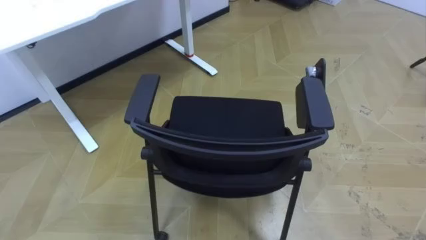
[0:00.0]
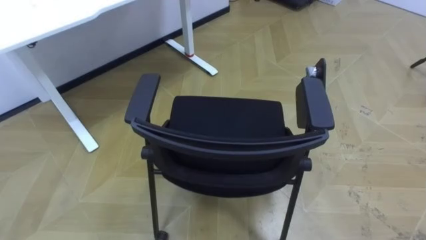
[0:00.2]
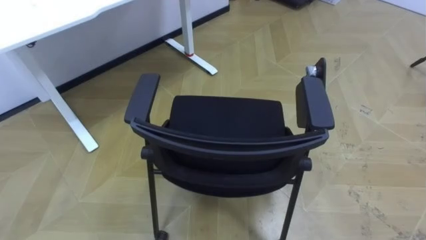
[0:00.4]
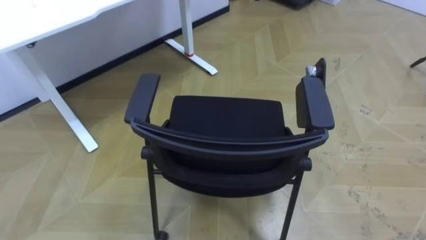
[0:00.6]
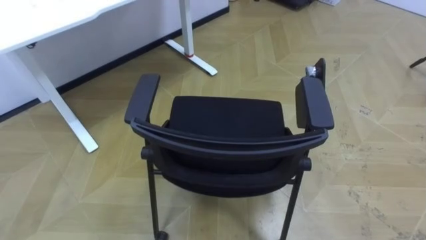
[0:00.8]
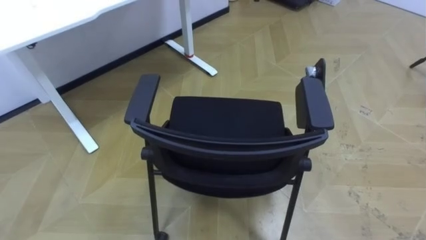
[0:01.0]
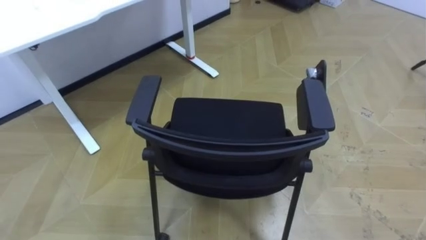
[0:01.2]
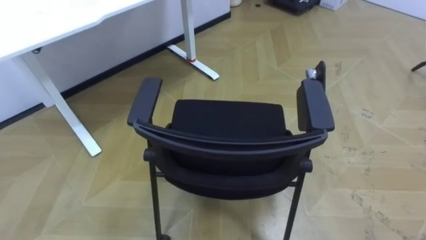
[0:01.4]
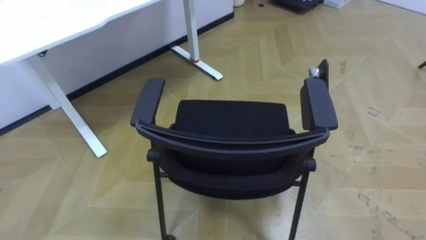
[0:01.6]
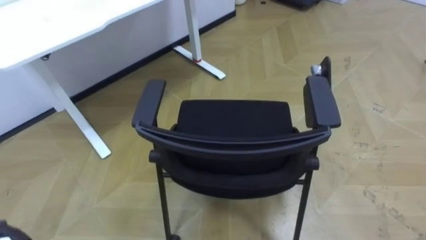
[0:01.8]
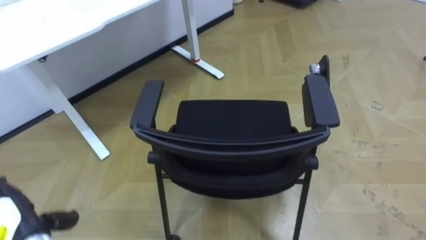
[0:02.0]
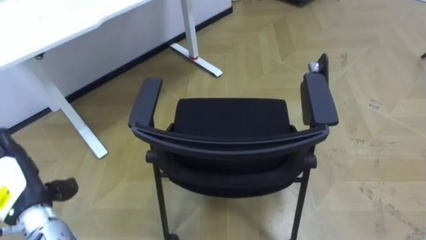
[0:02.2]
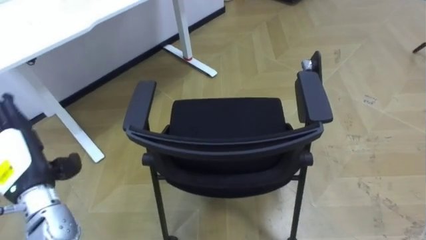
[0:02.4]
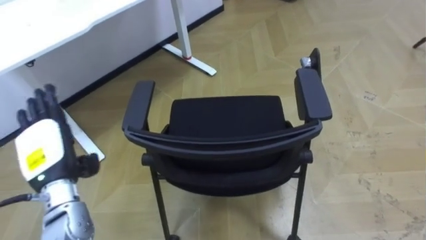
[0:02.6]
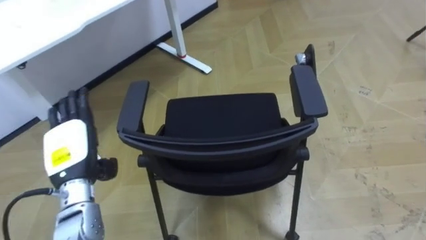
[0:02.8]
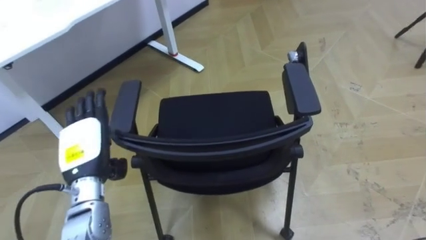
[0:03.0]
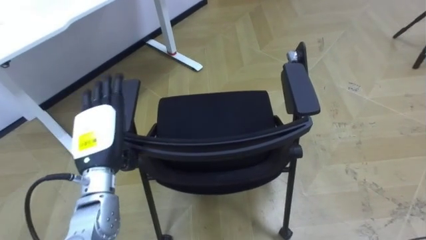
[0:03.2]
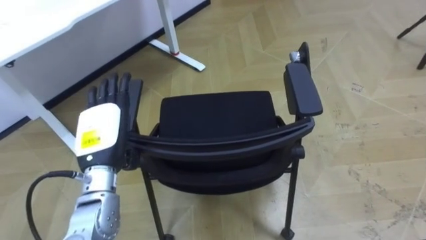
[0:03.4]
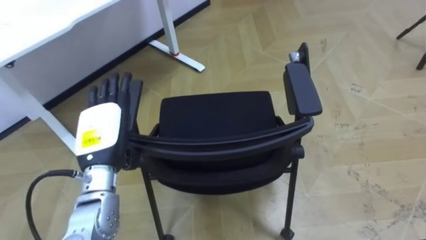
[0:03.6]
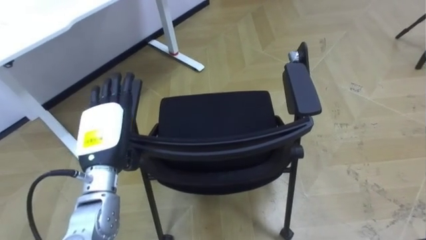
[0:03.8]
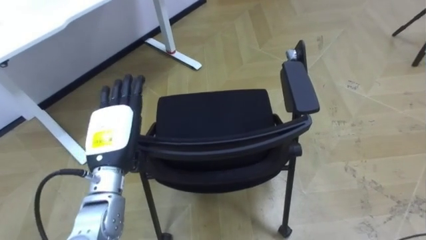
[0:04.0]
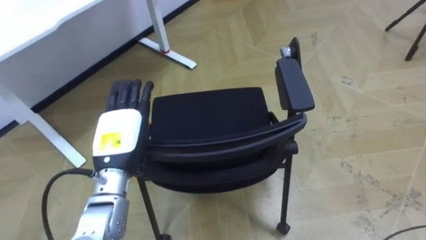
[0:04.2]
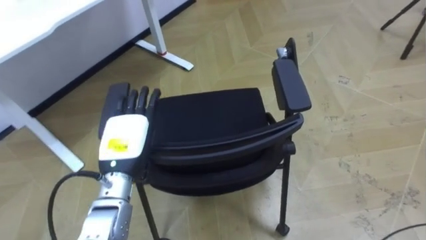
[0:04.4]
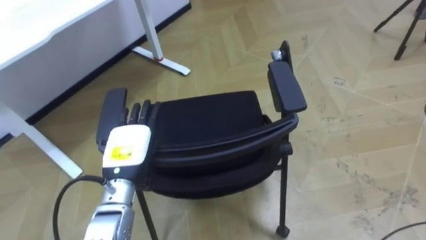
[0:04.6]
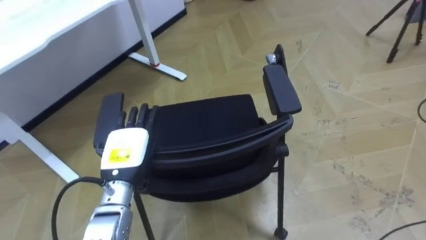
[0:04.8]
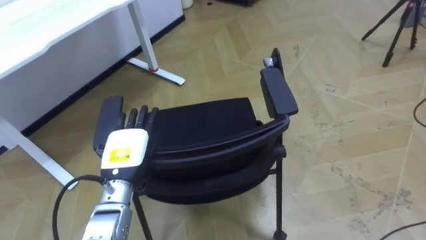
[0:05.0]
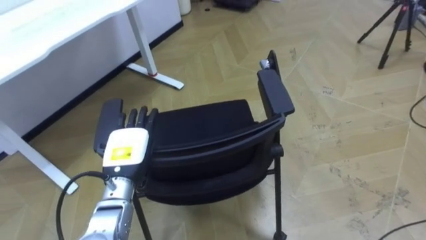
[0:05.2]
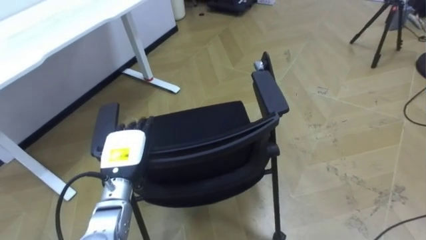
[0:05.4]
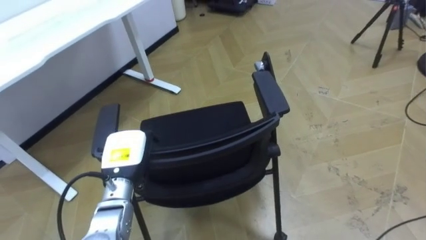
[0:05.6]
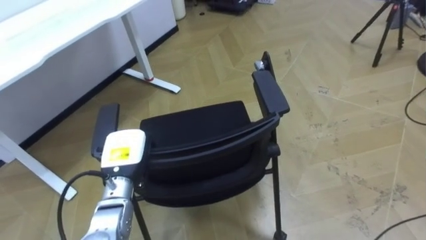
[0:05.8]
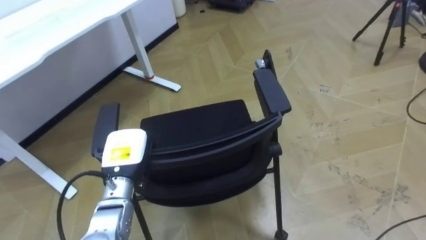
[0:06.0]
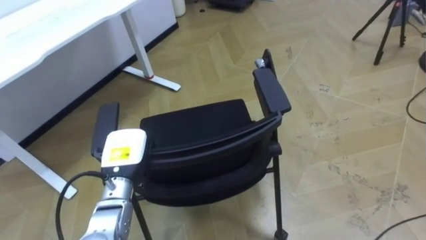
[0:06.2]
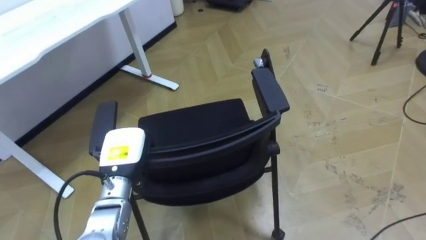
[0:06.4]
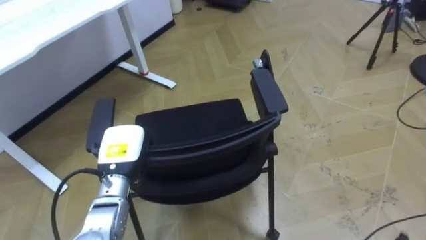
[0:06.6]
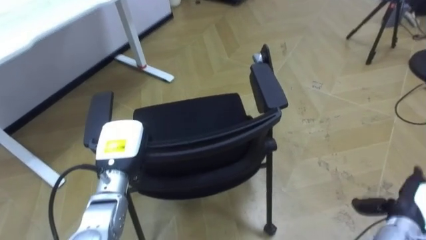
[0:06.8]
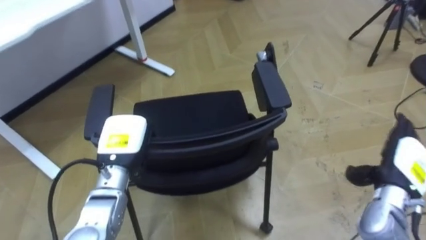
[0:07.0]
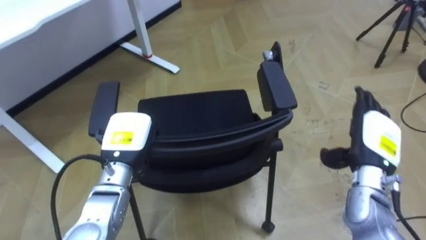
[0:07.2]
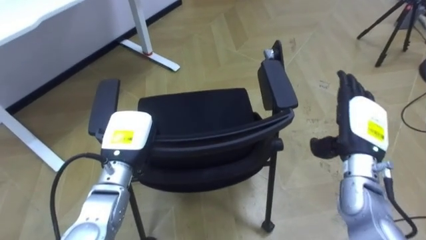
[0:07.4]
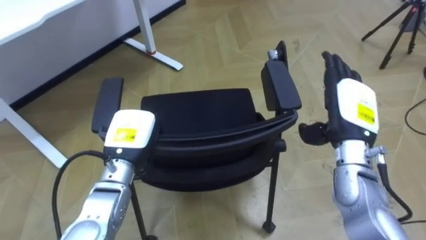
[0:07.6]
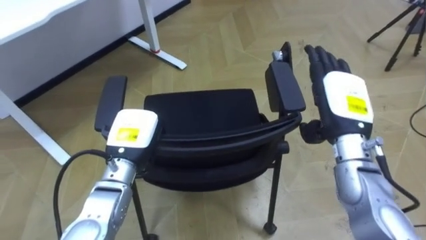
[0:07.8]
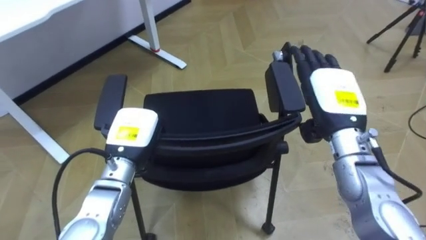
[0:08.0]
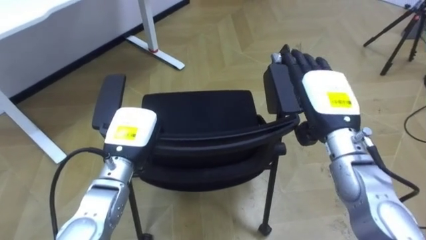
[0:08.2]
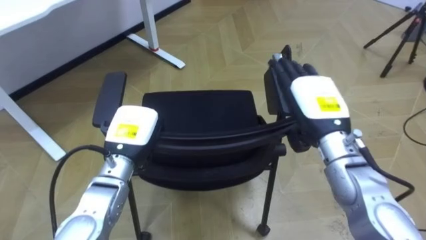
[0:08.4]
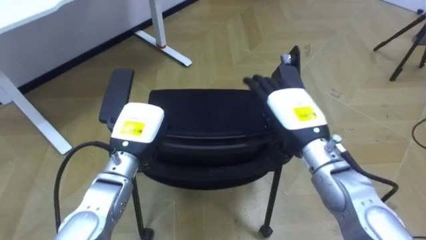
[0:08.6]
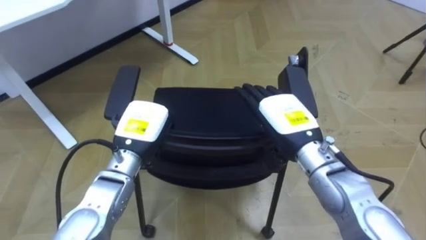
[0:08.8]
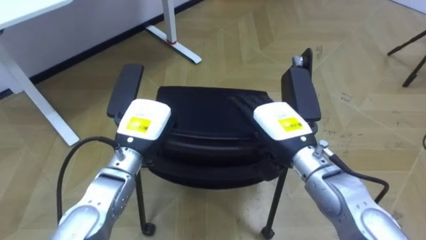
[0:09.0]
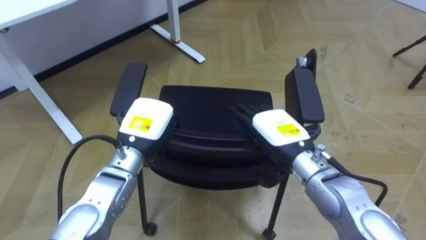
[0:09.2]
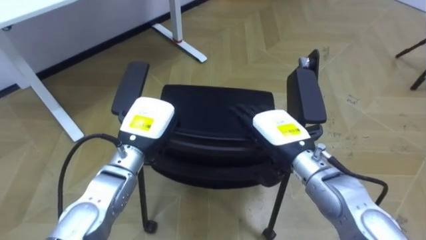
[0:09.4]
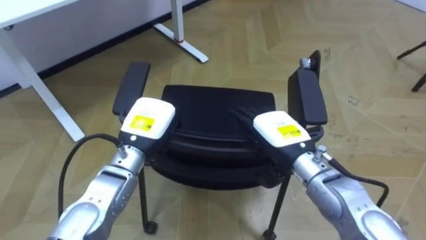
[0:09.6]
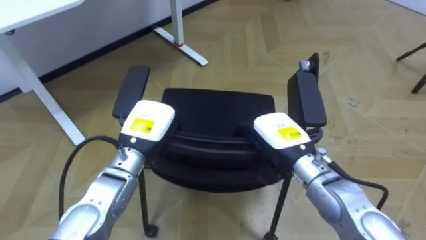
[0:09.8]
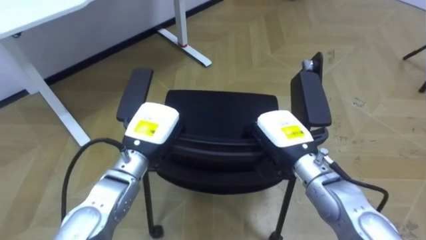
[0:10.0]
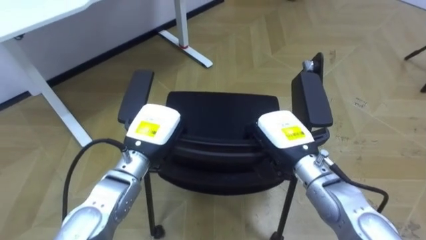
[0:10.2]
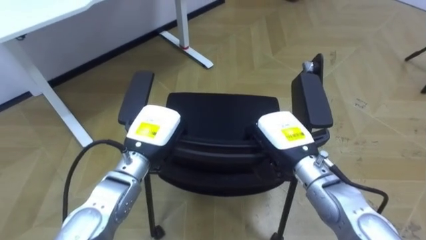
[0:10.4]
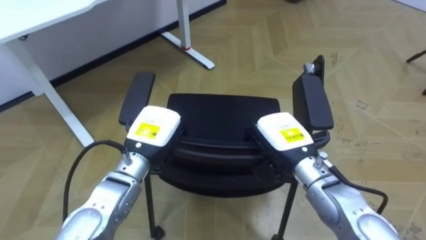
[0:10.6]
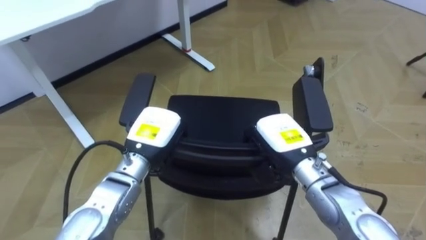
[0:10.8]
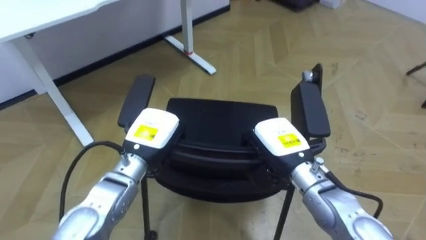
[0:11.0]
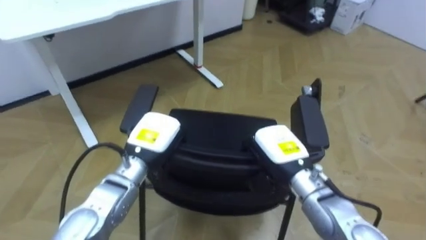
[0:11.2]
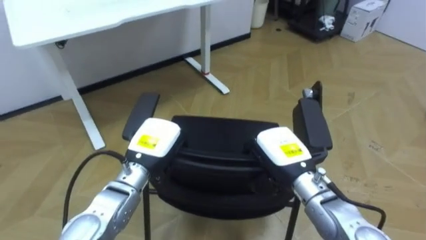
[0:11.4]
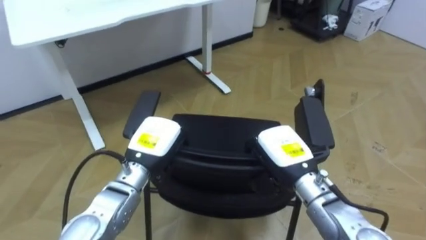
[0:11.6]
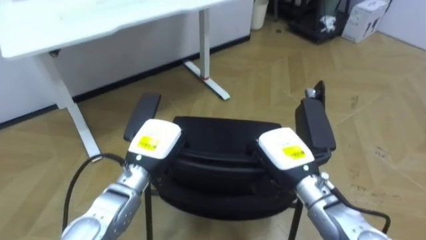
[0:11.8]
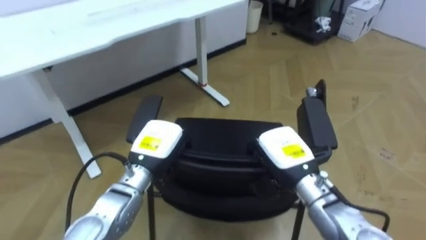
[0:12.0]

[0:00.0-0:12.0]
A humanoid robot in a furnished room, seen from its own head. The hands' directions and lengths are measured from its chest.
Task of the whole recording: Push the chair under the table.
0:03.0 to 0:04.4: The left hand shifts approximately 5 cm to the right.
0:04.4 to 0:06.0: The left hand travels downward by some 5 cm, and closes up.
0:07.6 to 0:09.0: The right hand heads to the left, covering approximately 10 cm.
0:09.0 to 0:10.4: The right hand closes up.

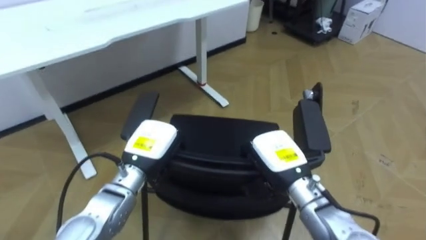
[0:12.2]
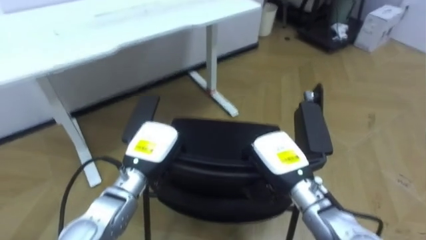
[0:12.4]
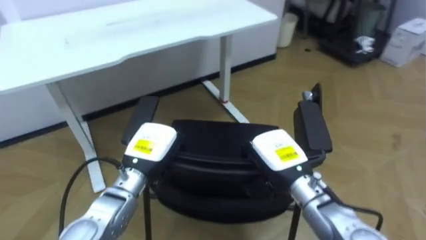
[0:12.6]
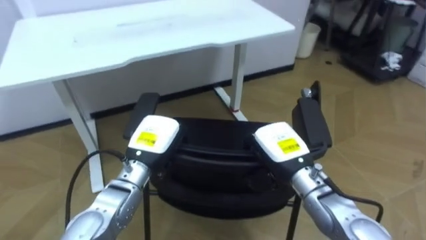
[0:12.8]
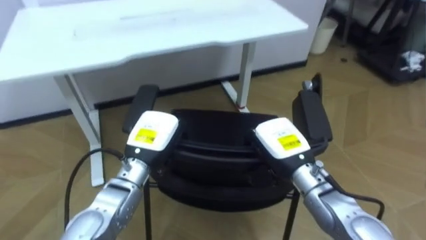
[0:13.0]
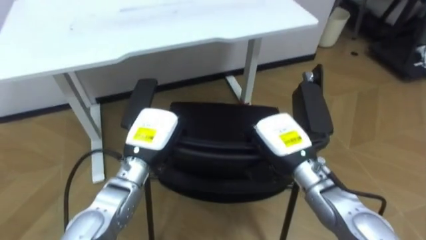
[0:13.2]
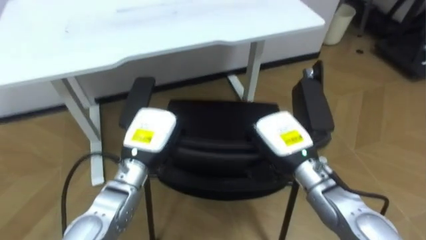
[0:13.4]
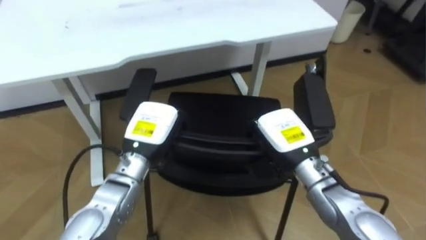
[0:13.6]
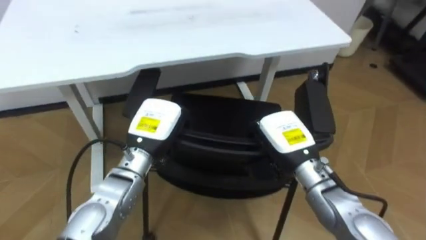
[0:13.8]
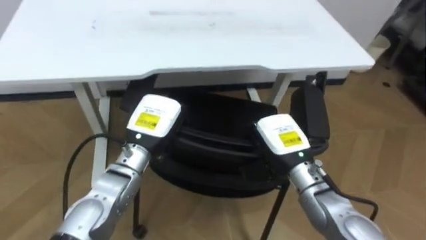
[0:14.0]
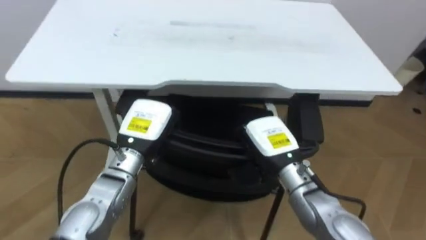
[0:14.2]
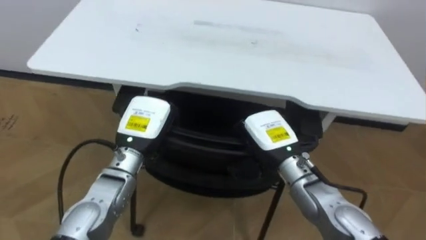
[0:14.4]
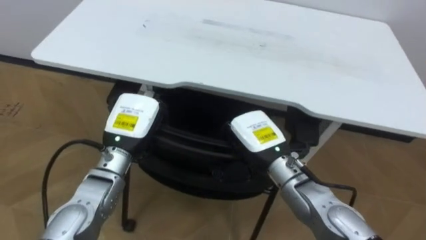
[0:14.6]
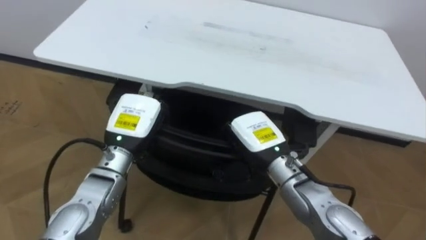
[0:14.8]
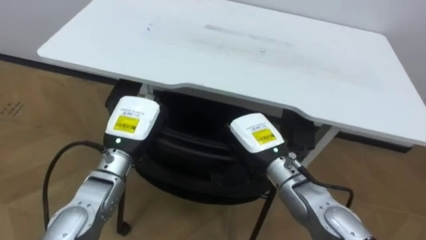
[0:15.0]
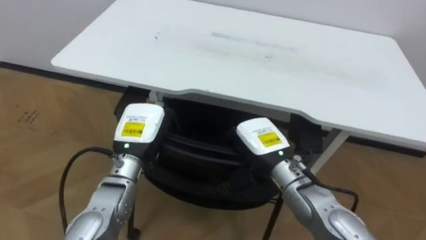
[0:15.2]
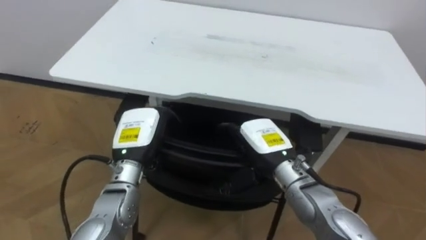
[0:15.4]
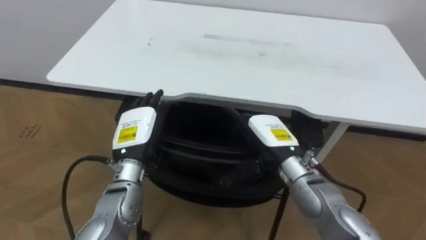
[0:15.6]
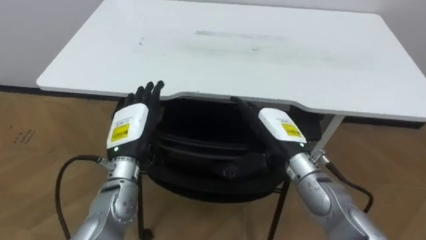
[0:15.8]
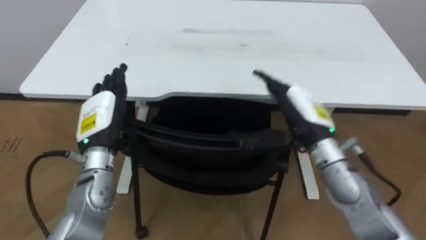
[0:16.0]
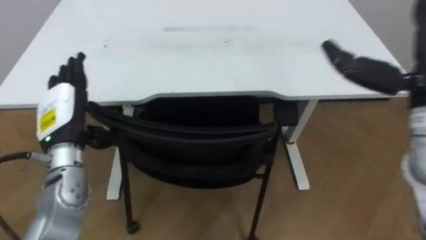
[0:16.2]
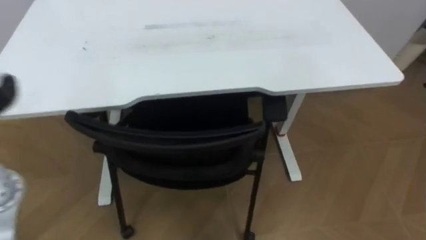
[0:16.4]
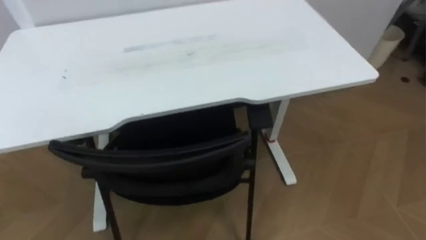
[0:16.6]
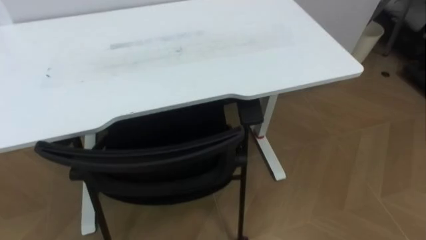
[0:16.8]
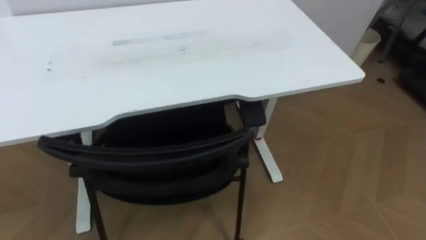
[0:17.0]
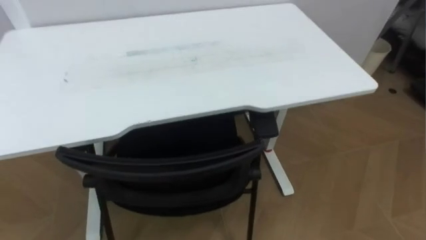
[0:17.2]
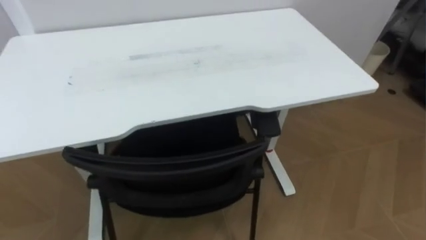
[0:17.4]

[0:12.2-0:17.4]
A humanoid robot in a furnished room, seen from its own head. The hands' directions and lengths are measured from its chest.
Task of the whole recording: Push the chair under the table.
0:12.2 to 0:14.0: The robot rotates approximately 20 degrees to its left.
0:14.0 to 0:15.6: The robot faces roughly 20 degrees further to its left. The right hand opens up; the left hand opens up.
